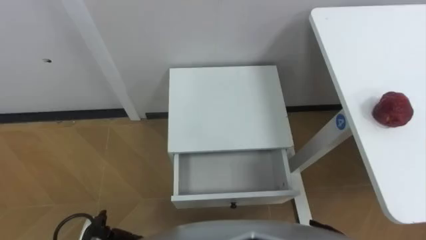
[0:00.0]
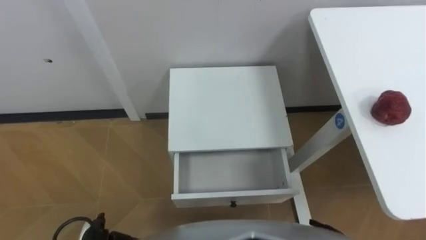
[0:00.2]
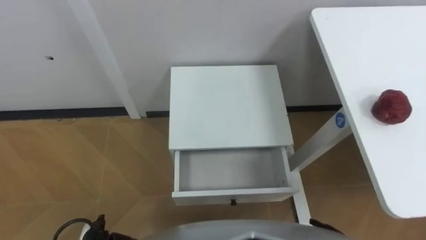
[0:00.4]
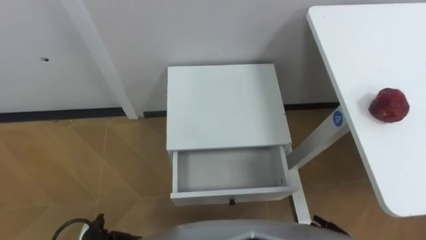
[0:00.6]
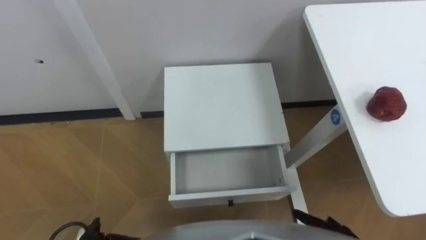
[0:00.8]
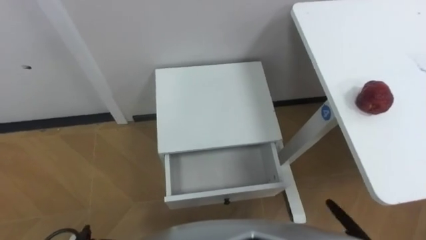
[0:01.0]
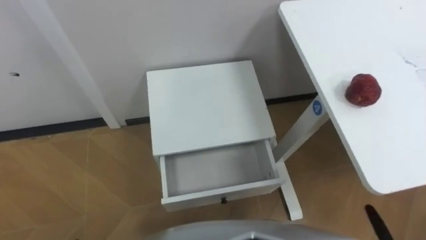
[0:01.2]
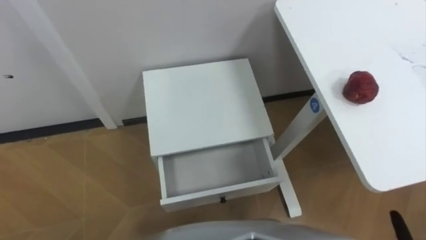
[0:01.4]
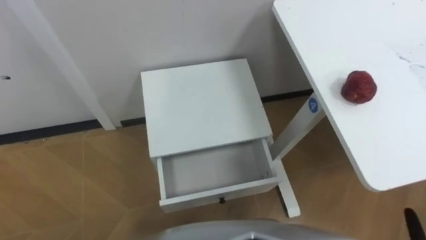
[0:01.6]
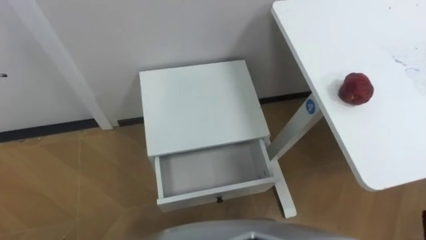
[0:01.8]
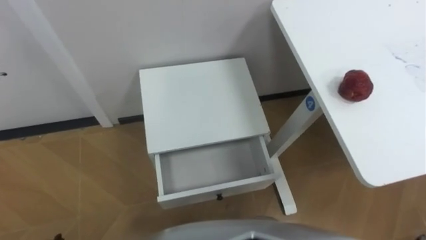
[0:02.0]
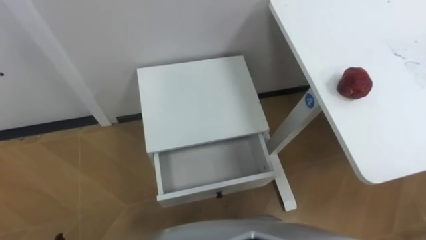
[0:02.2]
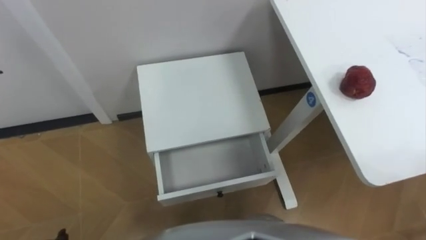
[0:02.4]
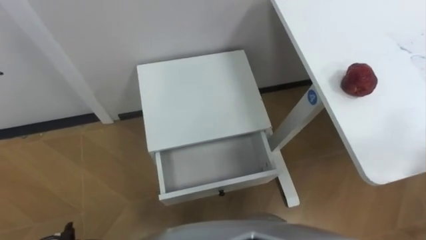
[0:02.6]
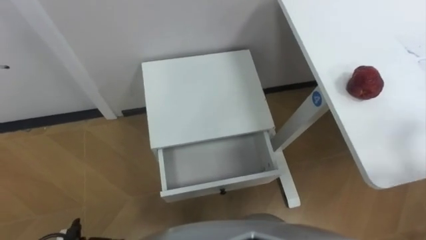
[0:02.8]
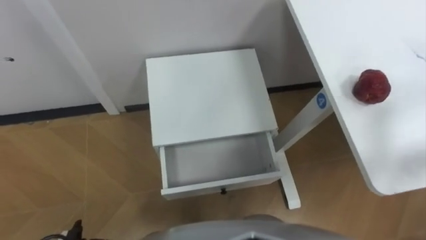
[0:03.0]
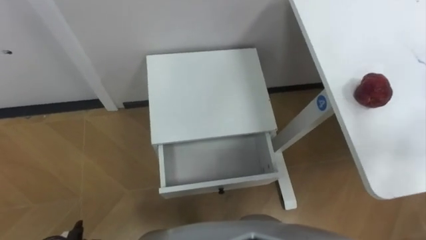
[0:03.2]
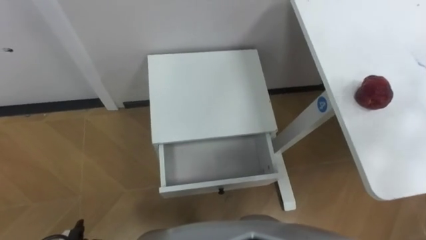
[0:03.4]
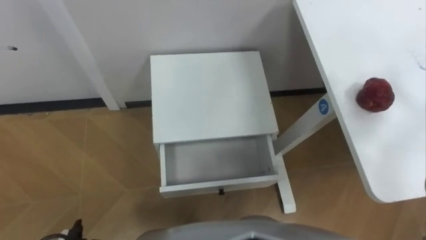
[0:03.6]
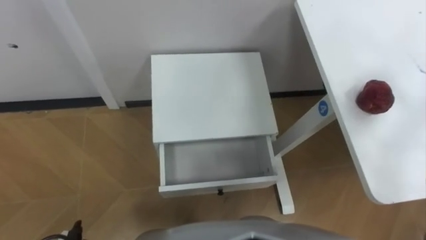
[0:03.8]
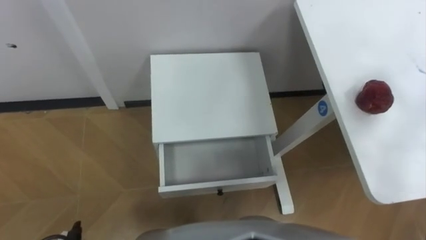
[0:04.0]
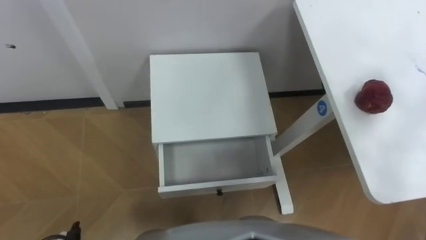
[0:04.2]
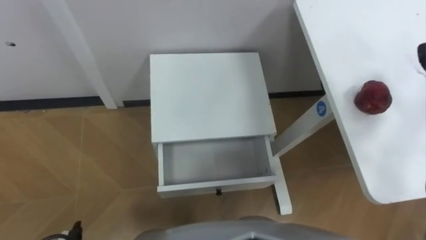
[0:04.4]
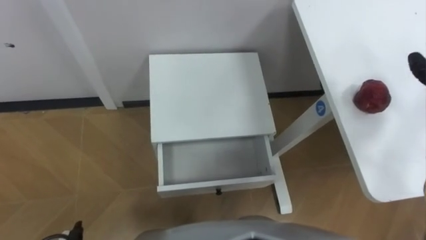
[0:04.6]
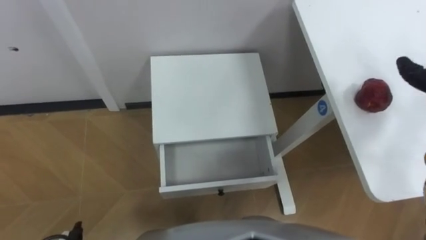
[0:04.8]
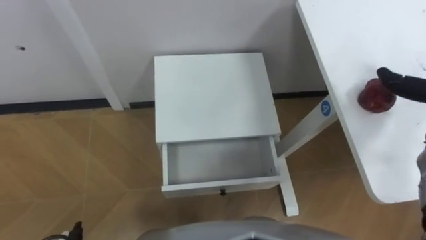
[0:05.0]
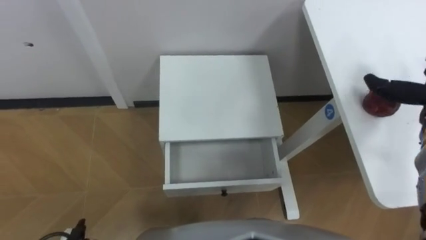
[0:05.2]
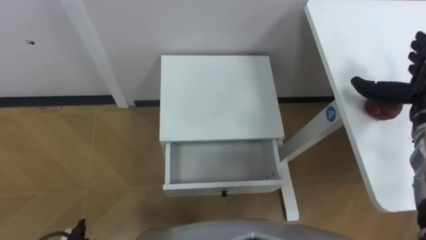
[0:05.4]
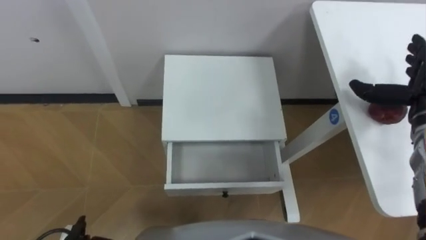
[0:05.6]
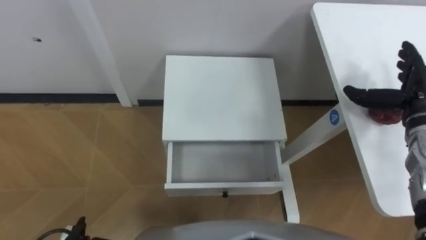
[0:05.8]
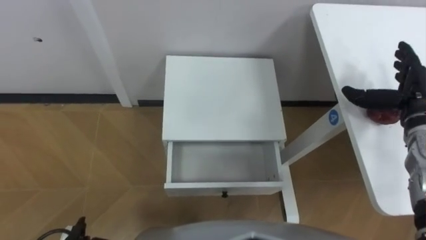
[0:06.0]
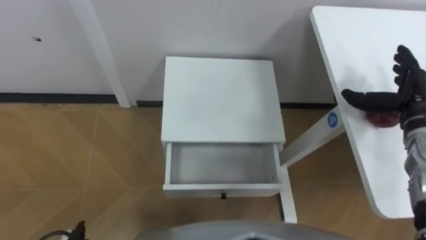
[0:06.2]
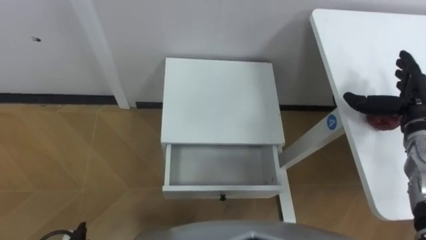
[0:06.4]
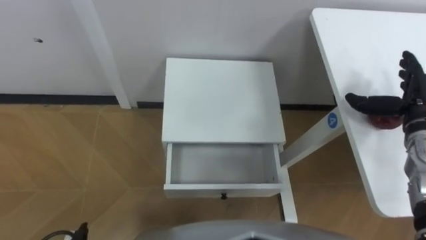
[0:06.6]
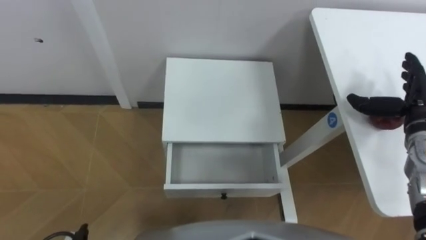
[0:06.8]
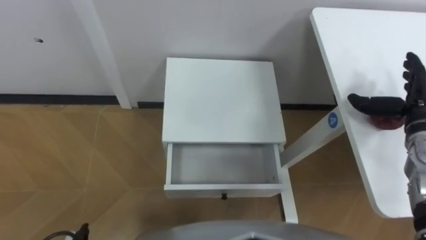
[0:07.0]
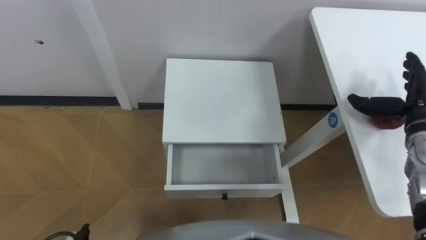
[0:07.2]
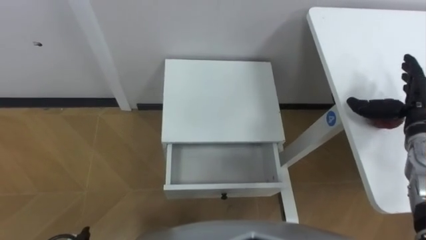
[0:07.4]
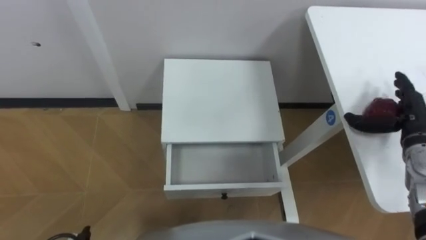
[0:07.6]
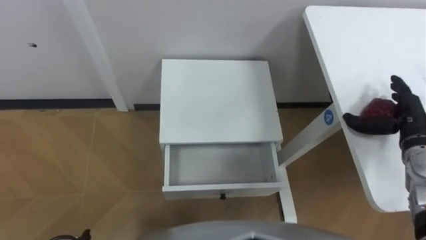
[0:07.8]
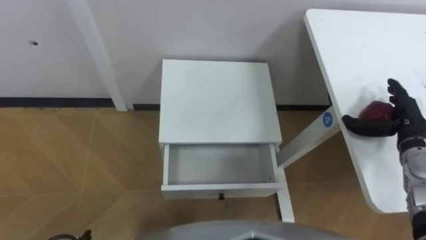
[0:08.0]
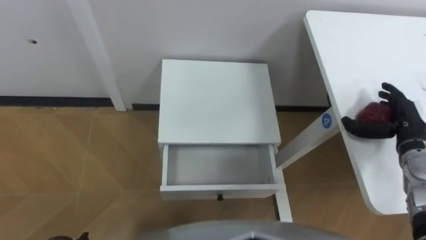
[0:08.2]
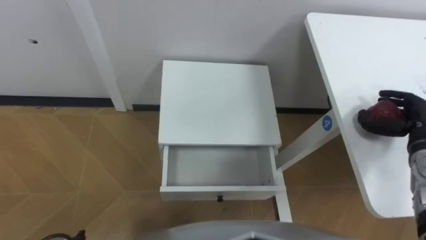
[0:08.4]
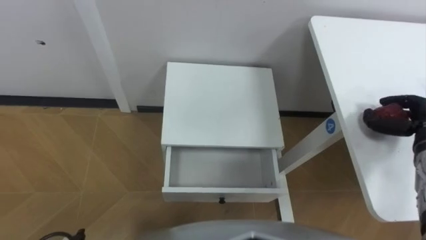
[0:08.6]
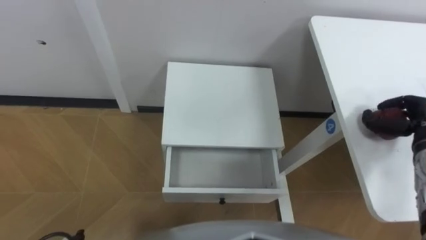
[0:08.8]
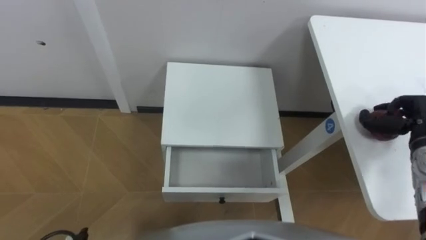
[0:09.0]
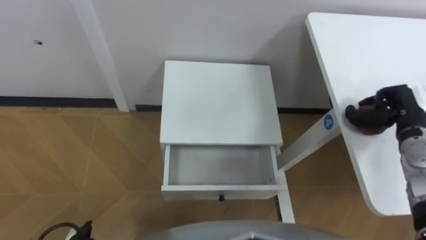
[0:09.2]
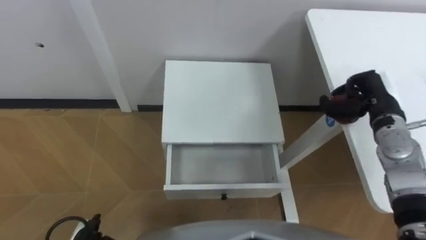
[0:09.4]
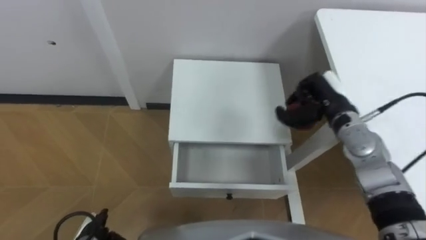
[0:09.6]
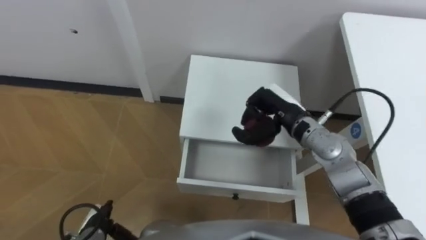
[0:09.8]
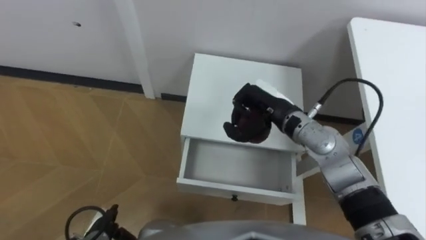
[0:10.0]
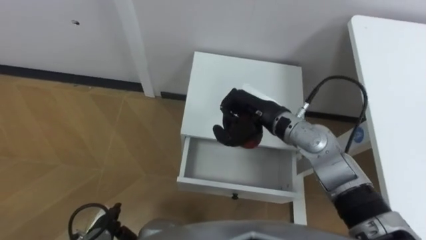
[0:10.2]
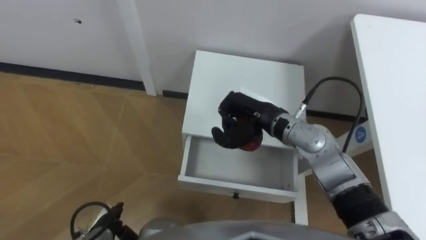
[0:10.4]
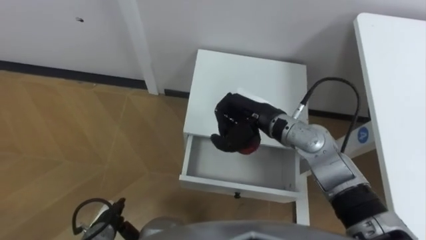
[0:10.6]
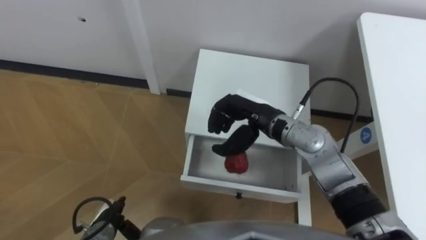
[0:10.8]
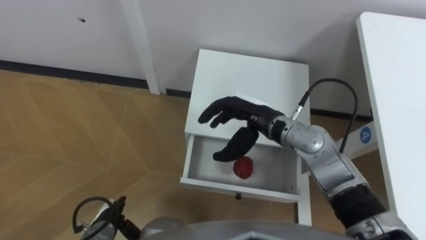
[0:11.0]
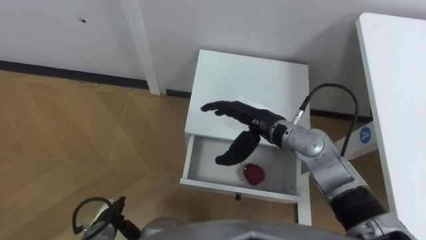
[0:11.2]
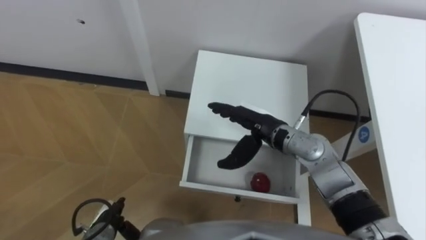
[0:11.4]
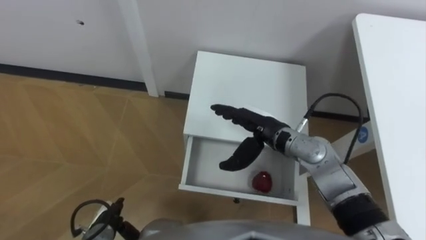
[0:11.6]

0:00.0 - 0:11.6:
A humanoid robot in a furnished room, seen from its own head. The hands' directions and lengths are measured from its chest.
Task of the whole recording: Pick up the apple from the table, put it in the drawer, and close the drawer with leg.
0:07.2 - 0:08.8: The right hand moves some 5 cm, and closes its fingers.
0:08.8 - 0:10.2: The right hand travels to the left by about 30 cm.
0:10.2 - 0:11.6: The right hand opens up.

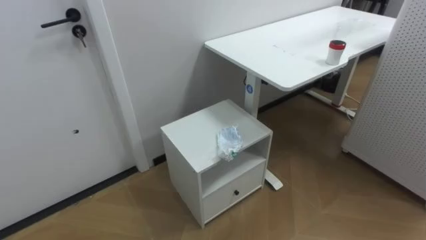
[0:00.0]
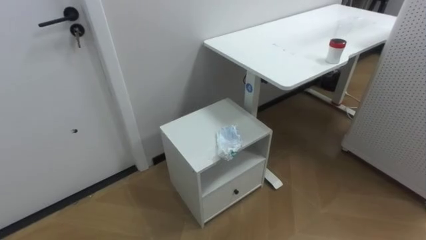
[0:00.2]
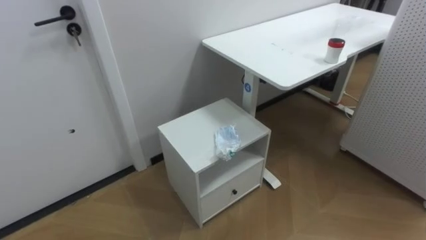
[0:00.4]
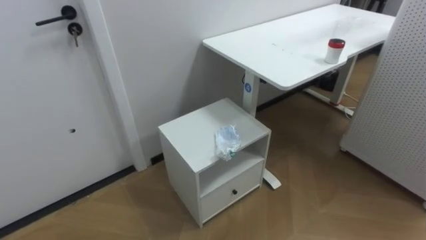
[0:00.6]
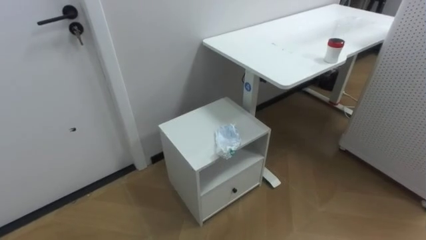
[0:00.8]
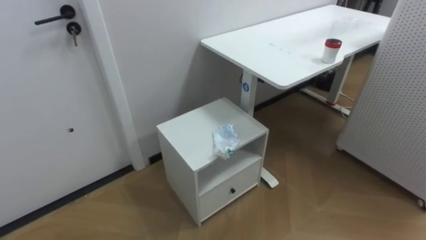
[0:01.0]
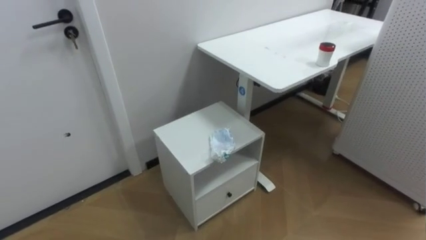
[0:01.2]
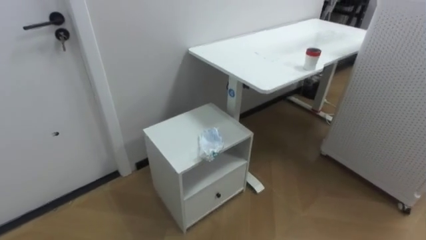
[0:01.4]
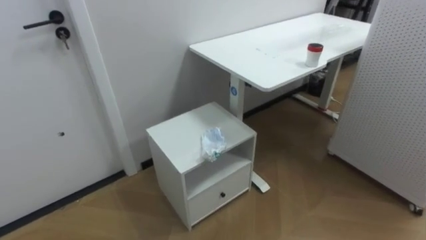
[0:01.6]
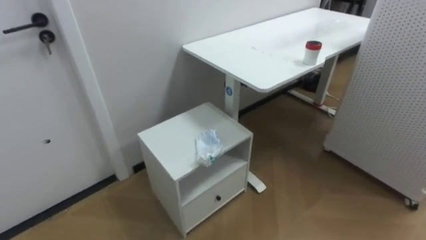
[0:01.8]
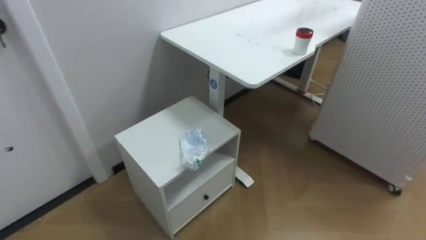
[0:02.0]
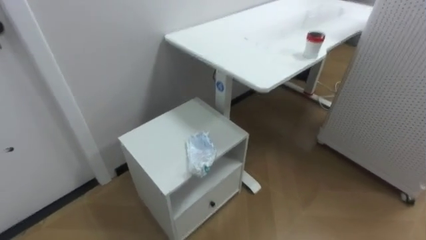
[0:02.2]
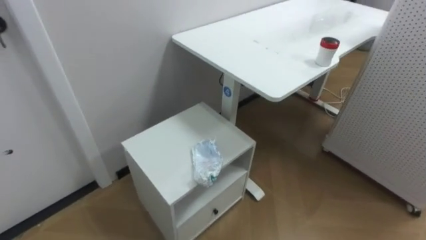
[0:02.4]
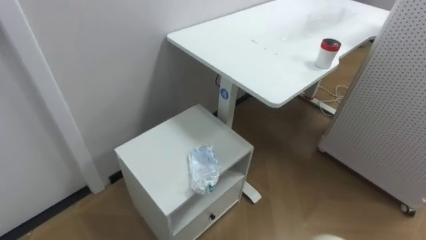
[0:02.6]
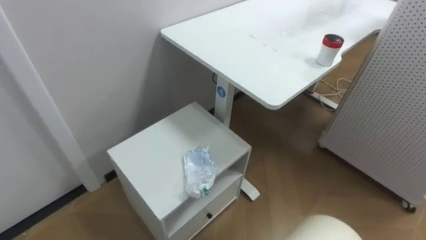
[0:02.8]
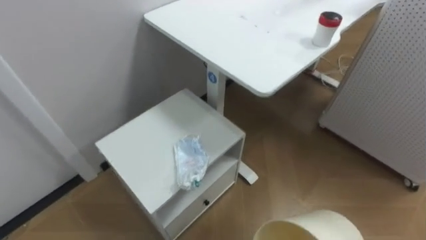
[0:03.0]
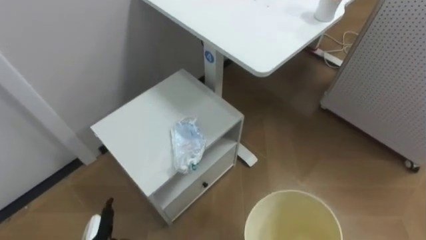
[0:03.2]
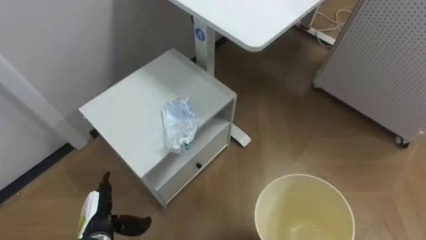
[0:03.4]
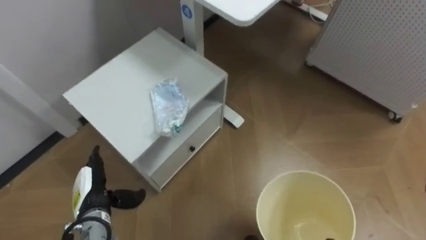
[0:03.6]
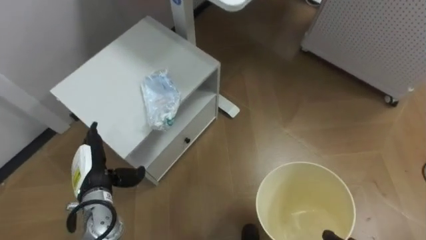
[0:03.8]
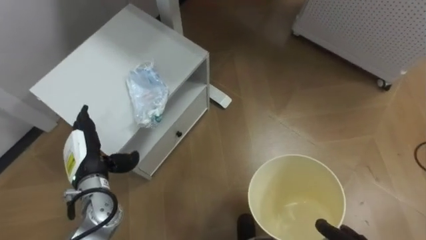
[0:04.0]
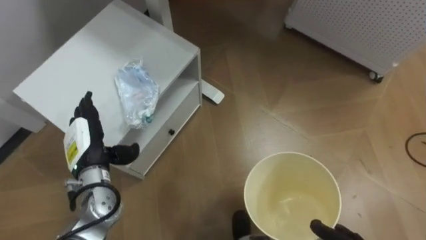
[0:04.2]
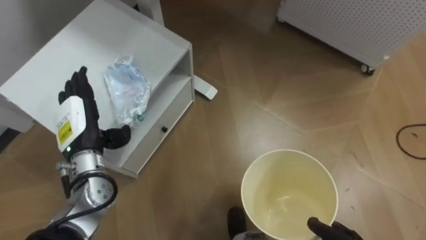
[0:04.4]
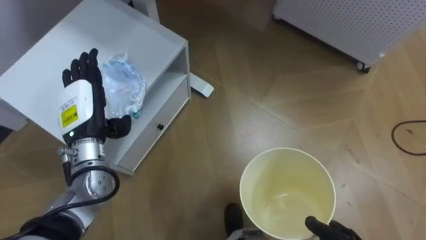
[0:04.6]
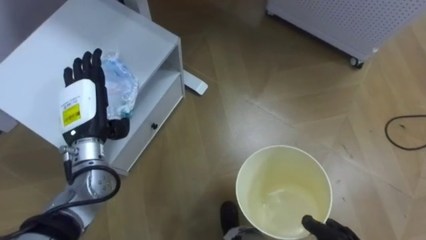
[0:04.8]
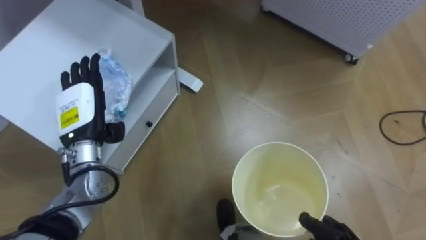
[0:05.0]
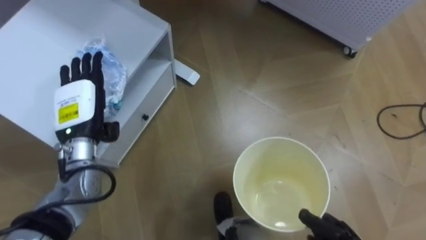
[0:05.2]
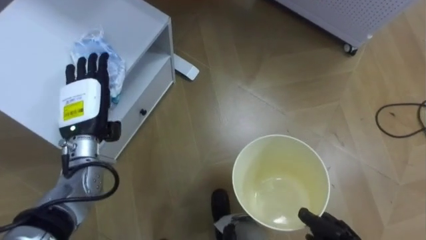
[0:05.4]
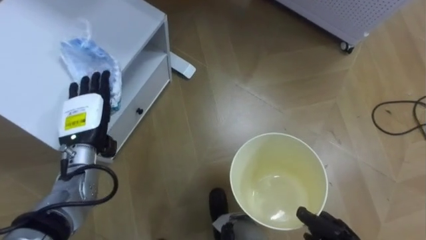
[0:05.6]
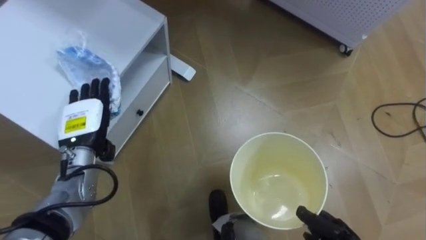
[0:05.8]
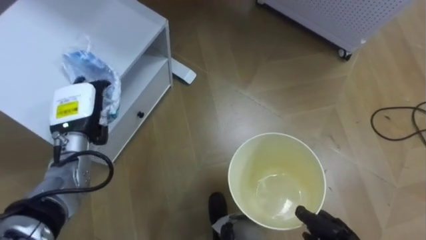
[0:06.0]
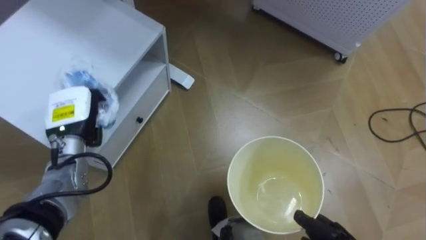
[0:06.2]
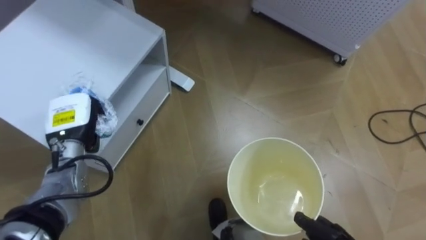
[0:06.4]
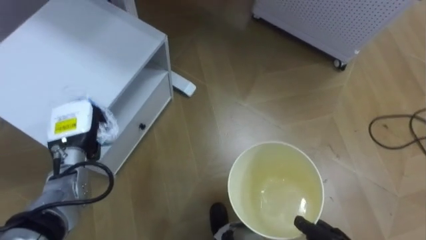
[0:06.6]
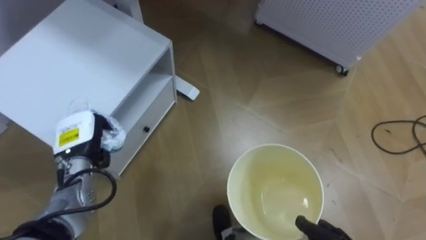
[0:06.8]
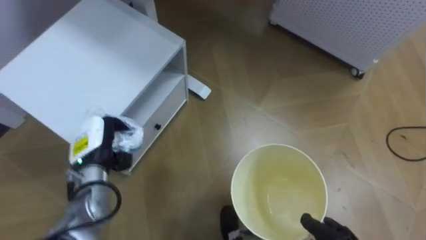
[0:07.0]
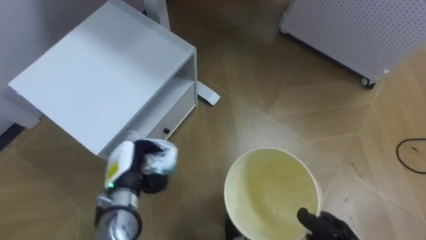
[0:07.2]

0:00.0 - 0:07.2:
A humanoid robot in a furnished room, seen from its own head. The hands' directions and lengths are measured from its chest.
Task of the whole recording: Pick up the light blue package, the candy box, and the dark blue package separately, and put them into the trash can held in your right hand.
0:05.8 - 0:07.2: The left hand is displaced downward and to the right by approximately 10 cm, and closes.
